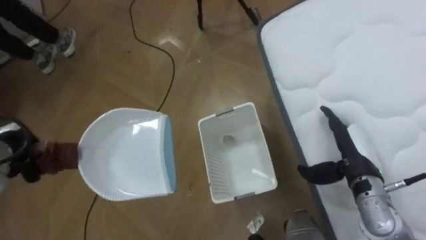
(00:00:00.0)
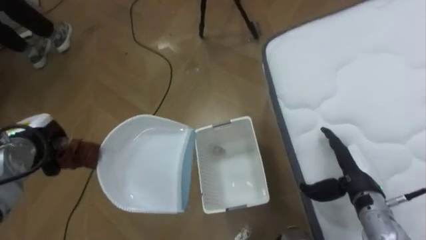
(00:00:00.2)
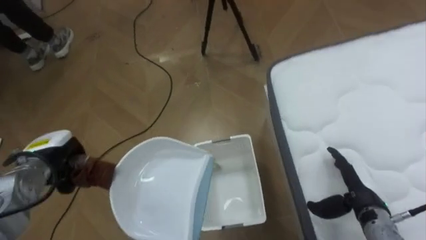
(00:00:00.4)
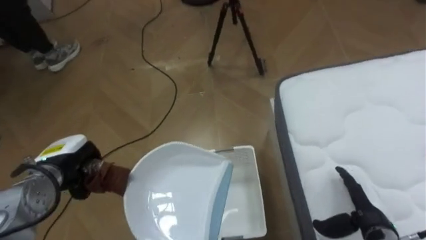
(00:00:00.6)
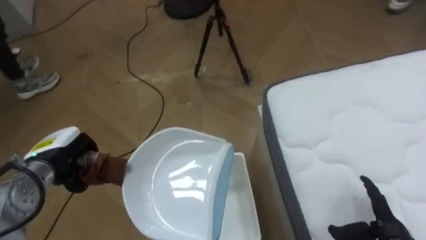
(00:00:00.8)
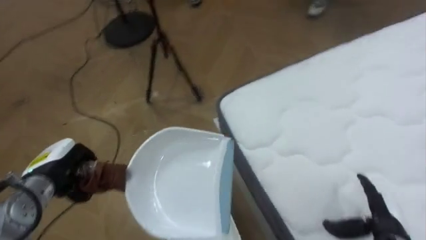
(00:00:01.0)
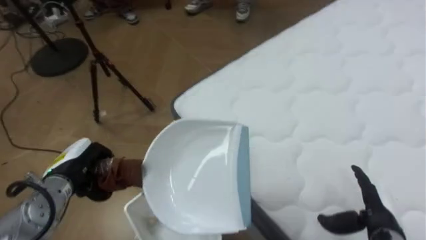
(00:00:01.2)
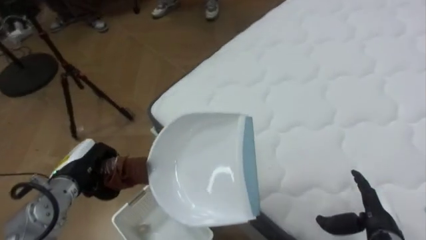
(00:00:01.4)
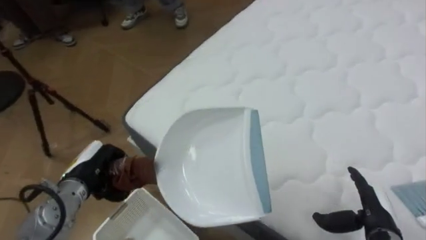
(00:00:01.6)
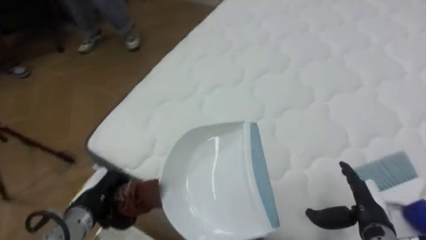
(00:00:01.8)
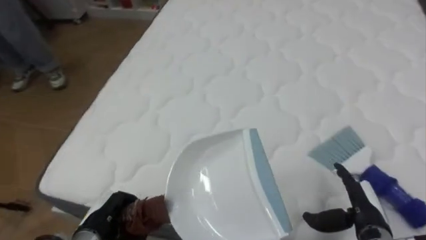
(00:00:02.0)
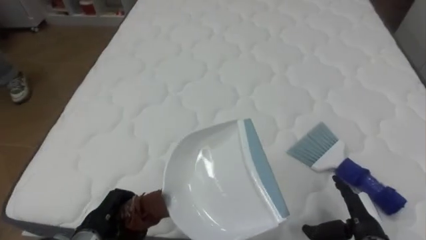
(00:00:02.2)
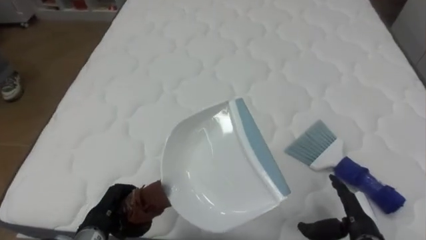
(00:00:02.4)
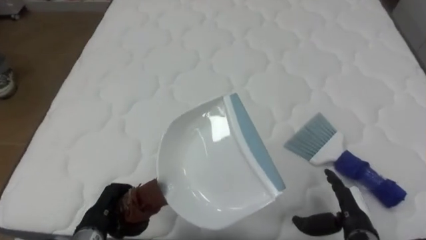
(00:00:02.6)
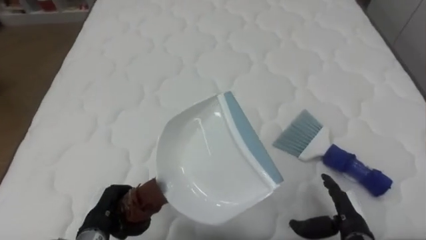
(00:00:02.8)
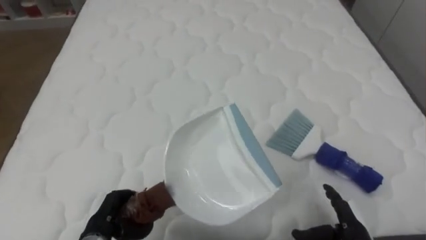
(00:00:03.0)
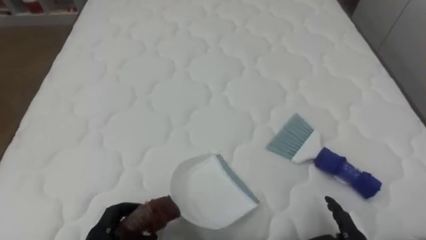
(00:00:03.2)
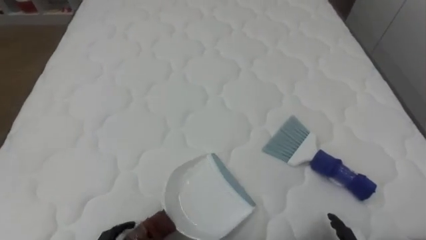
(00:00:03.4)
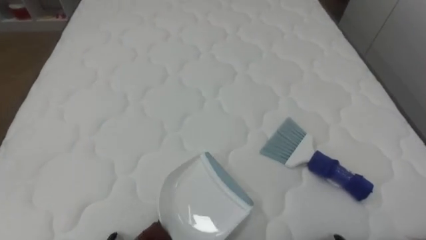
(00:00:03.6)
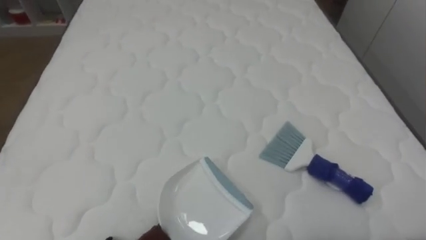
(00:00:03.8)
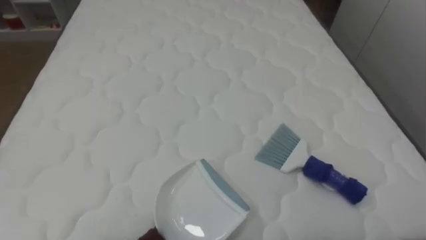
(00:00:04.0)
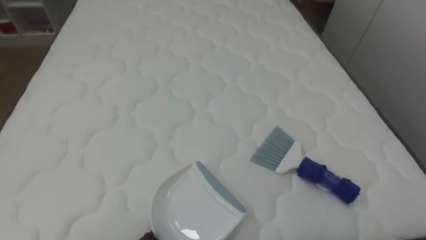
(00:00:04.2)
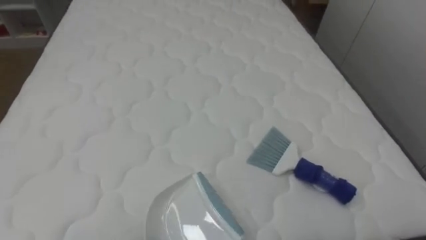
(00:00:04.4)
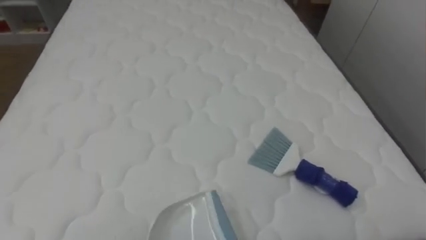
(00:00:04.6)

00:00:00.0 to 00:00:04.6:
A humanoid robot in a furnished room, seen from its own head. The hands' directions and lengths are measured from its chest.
Task of the whole recording: Pick up the brush on your right and the dustpan on your left. Use the brush to sweep the crumpled paper on the bed into the dustpan, then turn left and empty it into the basket.
00:00:00.0 to 00:00:01.6: The robot faces roughly 50 degrees further to its right. The left hand heads to the right, covering roughly 15 cm. The right hand is displaced backward and downward by approximately 10 cm.
00:00:01.6 to 00:00:03.0: The robot rotates about 45 degrees to its right. The right hand changes place by some 5 cm. Meanwhile the left hand moves backward and downward, approximately 10 cm.

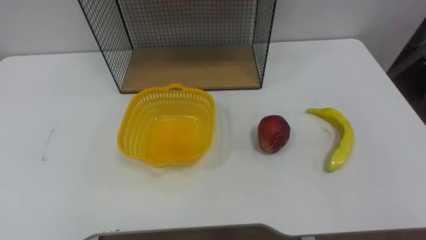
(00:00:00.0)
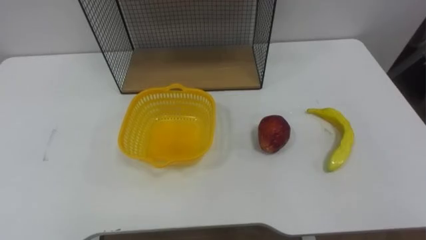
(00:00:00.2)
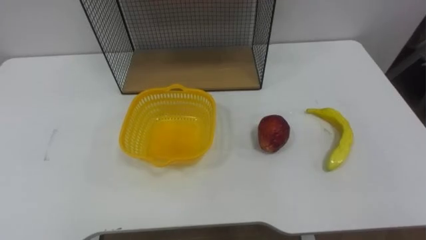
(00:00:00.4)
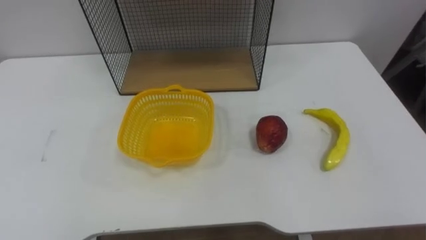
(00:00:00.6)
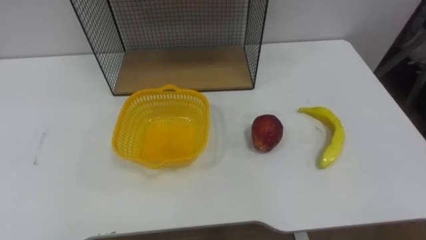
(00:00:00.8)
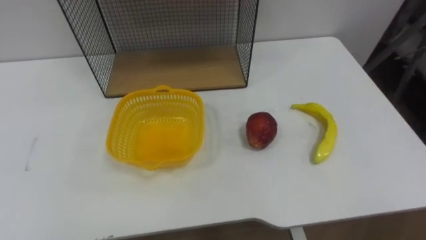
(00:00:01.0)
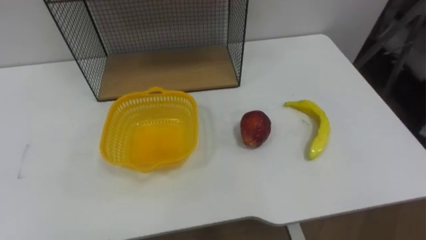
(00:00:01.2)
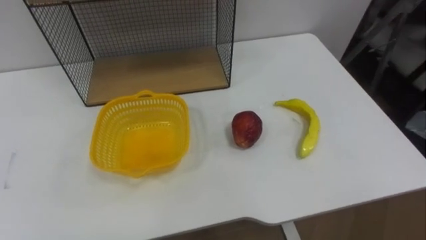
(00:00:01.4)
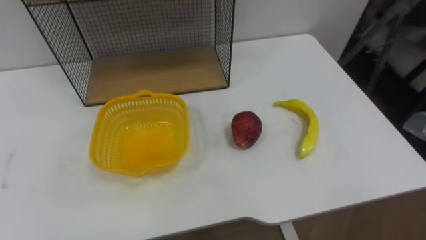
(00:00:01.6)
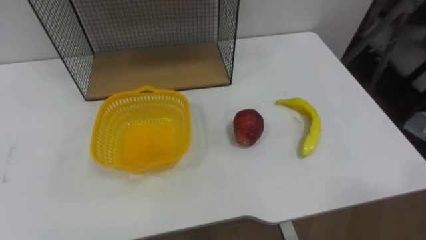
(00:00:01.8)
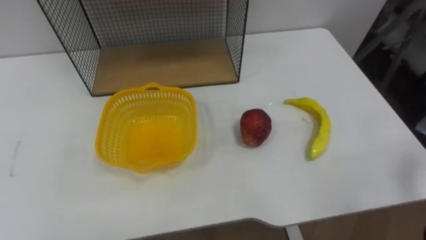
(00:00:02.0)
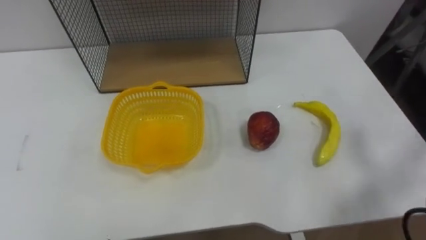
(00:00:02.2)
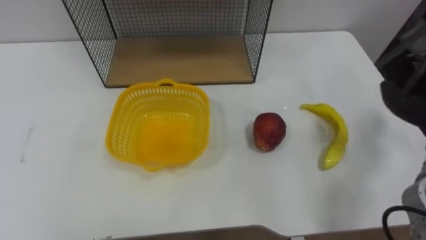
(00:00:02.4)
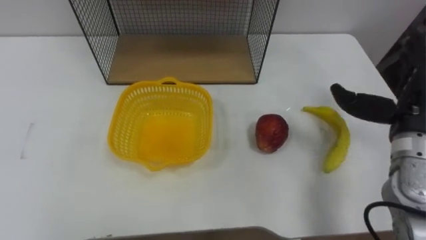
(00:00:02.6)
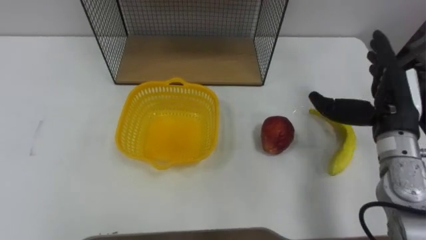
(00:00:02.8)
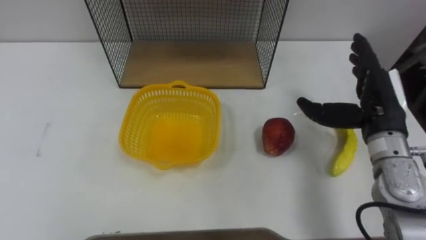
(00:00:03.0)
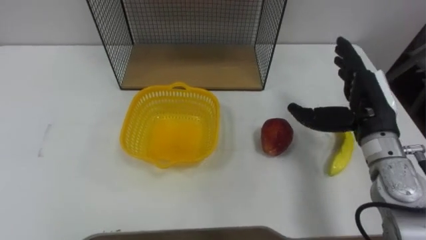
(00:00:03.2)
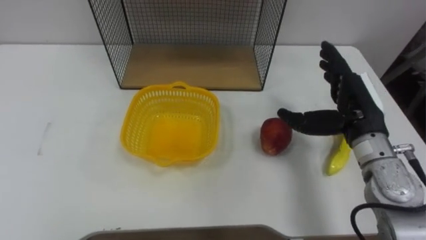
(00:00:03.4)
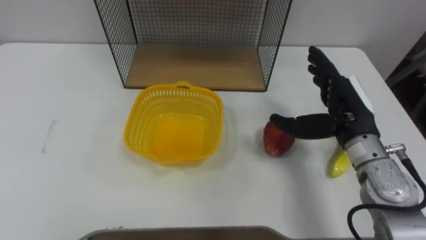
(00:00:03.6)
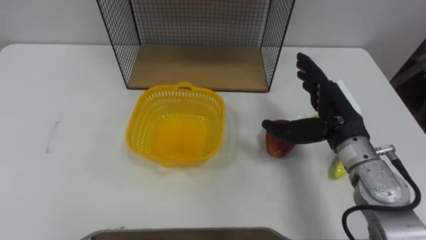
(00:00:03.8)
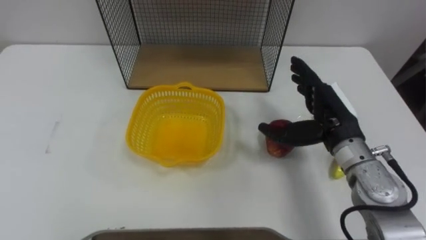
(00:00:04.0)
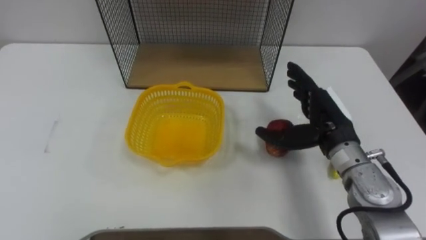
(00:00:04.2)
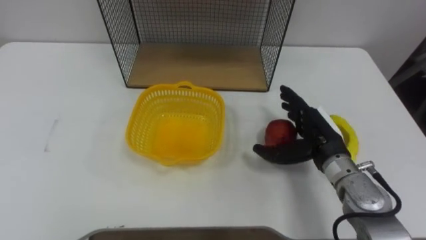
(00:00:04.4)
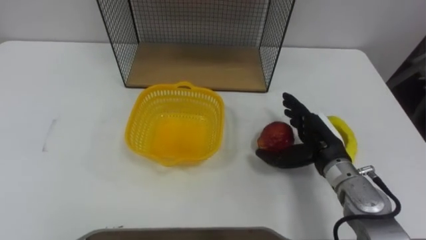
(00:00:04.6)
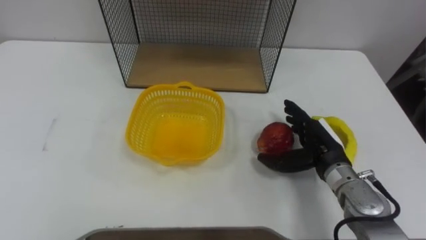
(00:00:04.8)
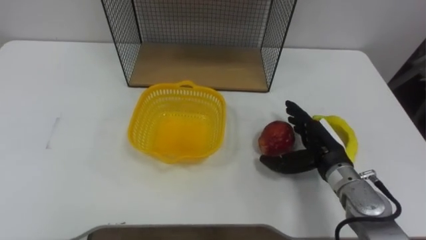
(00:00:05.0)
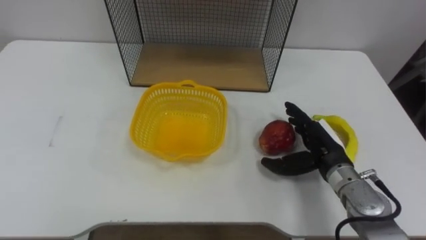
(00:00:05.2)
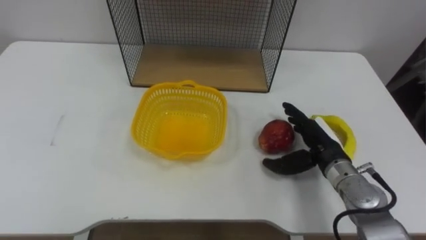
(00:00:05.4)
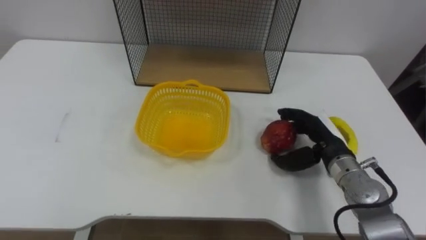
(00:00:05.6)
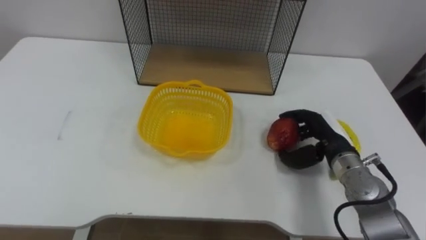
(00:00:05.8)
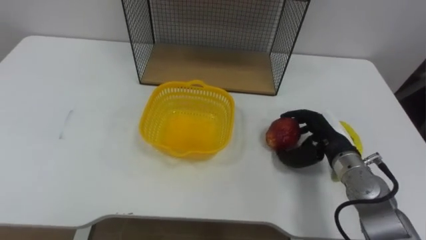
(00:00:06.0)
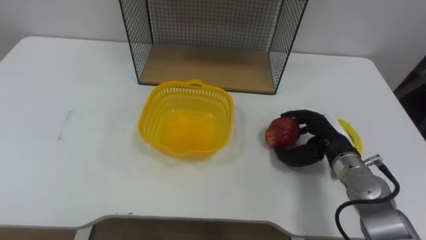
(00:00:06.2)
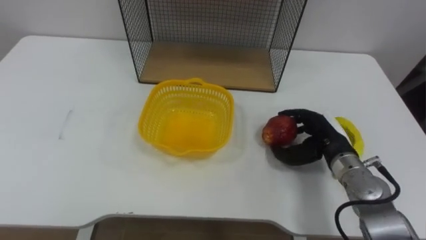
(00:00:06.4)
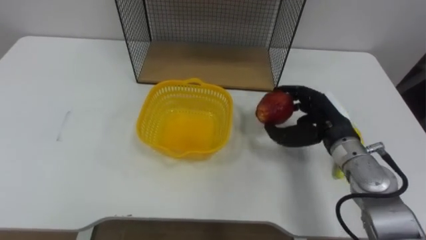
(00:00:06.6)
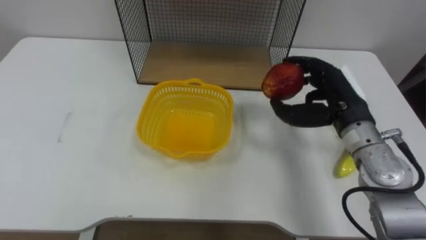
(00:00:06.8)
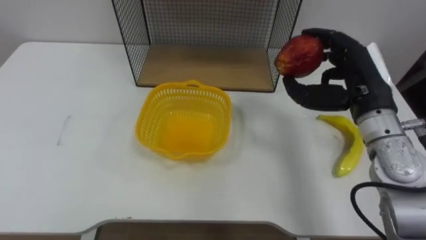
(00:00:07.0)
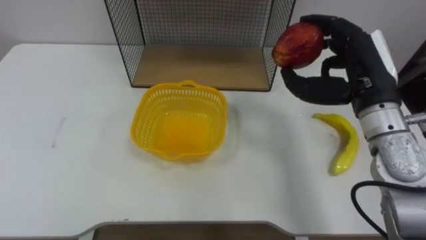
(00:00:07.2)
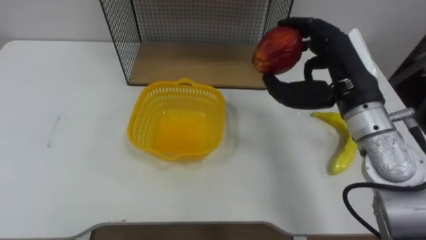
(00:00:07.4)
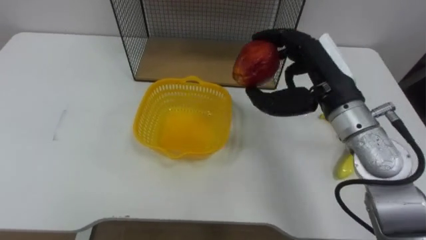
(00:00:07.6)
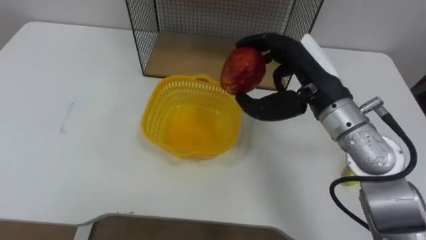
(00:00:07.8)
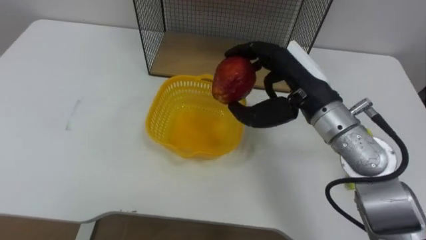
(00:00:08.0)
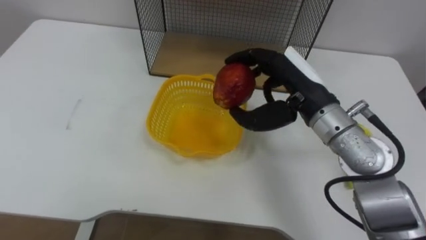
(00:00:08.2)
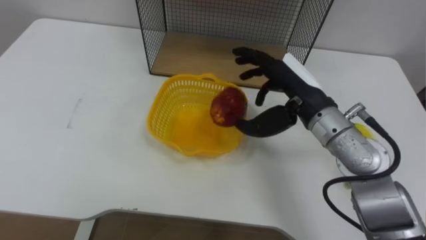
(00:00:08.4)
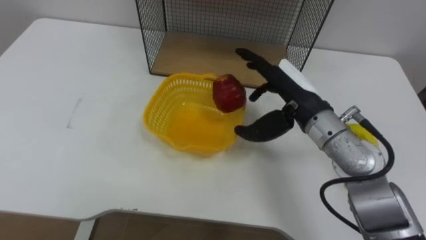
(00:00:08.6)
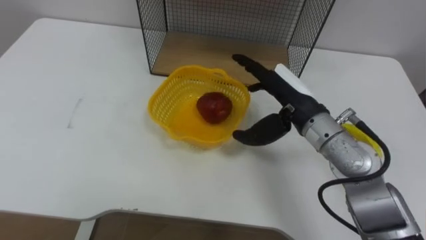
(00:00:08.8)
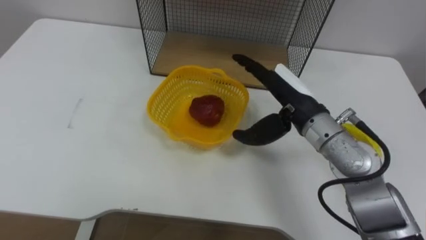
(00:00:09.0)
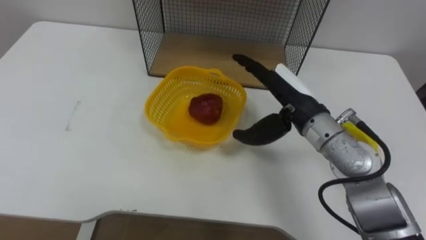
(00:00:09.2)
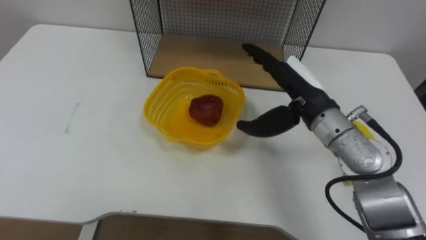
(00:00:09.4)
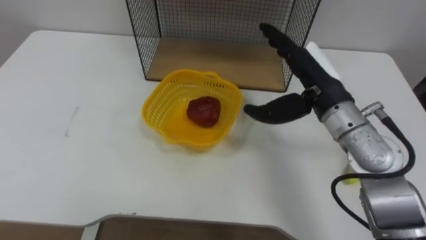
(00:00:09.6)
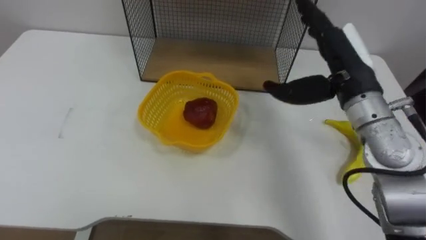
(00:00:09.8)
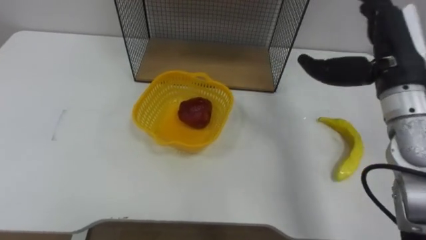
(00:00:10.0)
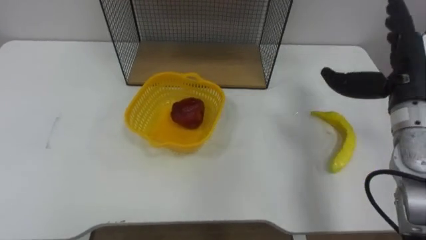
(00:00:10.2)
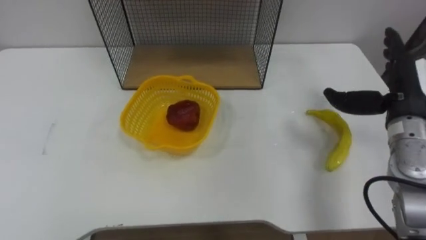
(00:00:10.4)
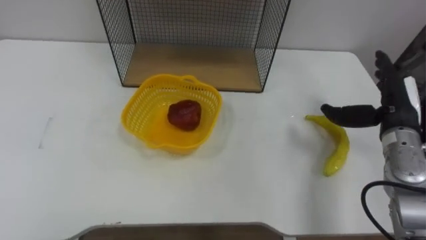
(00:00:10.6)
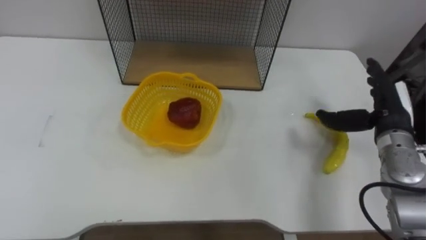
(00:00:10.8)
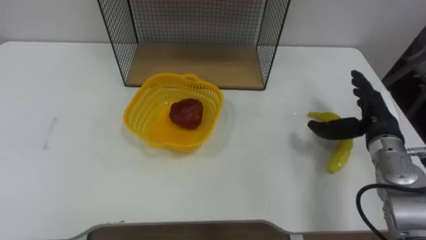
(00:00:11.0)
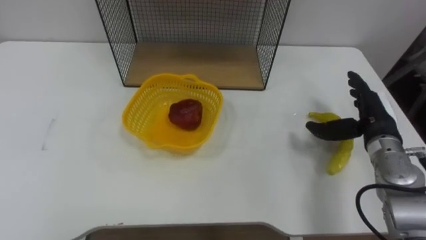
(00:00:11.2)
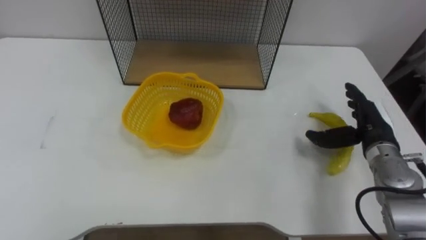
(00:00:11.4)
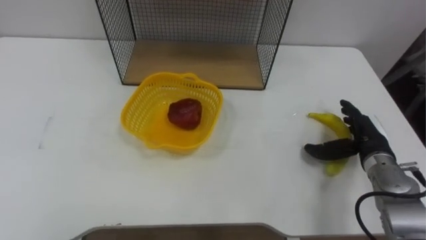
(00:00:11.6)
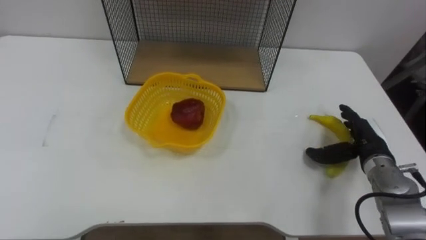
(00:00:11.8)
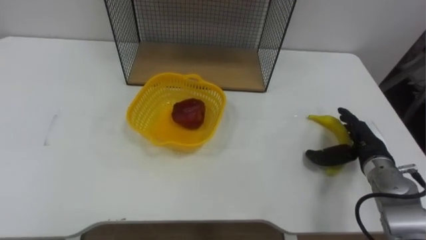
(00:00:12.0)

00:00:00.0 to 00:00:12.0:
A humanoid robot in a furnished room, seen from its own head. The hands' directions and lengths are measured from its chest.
Task of the whole recording: Put the fruit on the table into the basket, then place the basket on the shelf.
00:00:03.0 to 00:00:04.4: The right hand goes some 10 cm downward and to the left.
00:00:04.4 to 00:00:06.0: The right hand closes its fingers.
00:00:06.0 to 00:00:07.6: The right hand heads upward, covering approximately 15 cm.
00:00:07.6 to 00:00:09.0: The right hand shifts by about 5 cm, and opens.
00:00:09.0 to 00:00:10.4: The right hand is displaced to the right by some 20 cm.
00:00:10.4 to 00:00:12.0: The right hand heads downward, covering about 15 cm.
